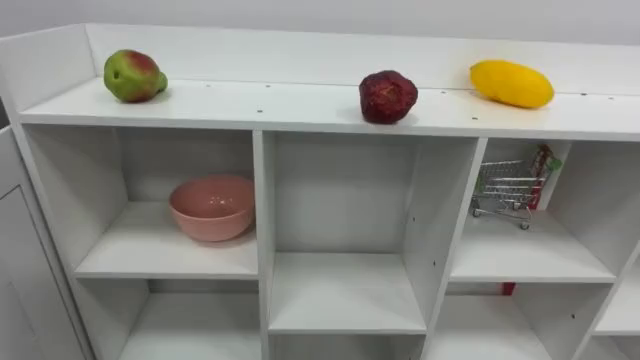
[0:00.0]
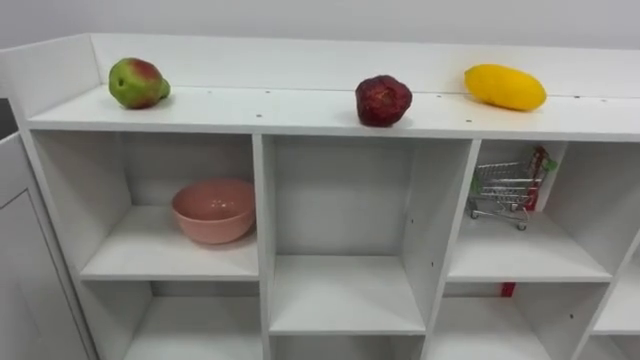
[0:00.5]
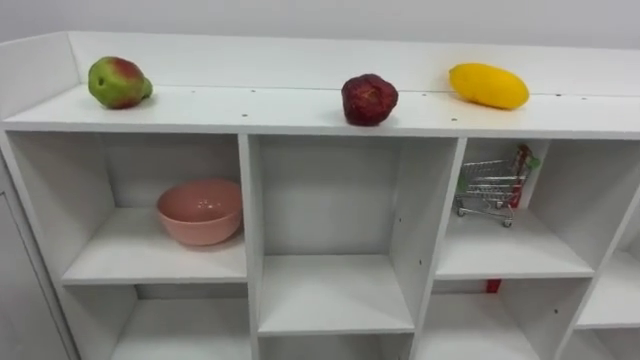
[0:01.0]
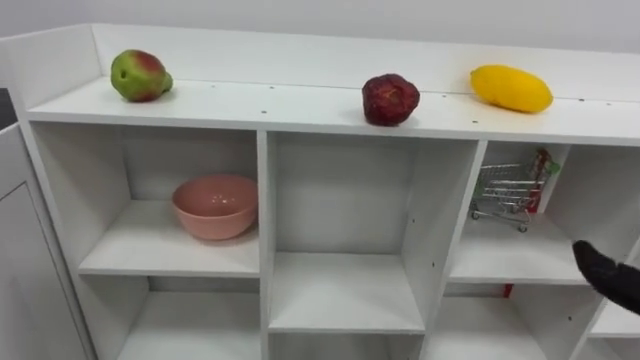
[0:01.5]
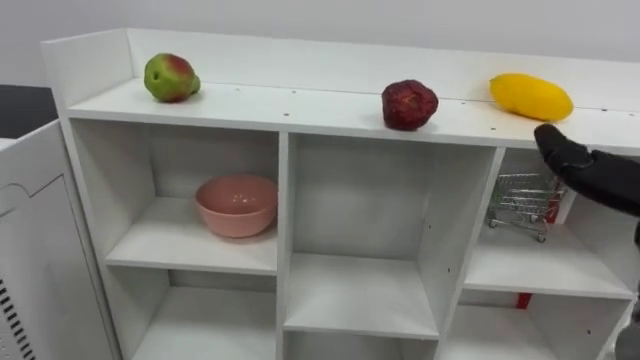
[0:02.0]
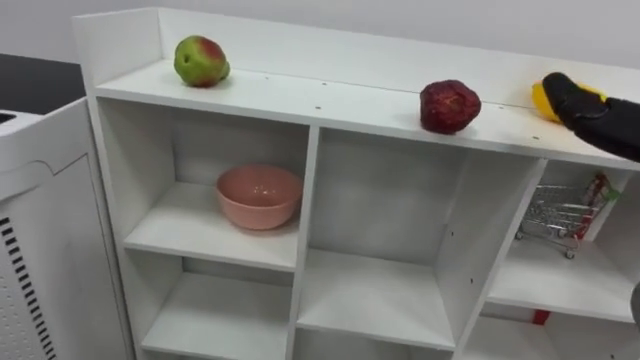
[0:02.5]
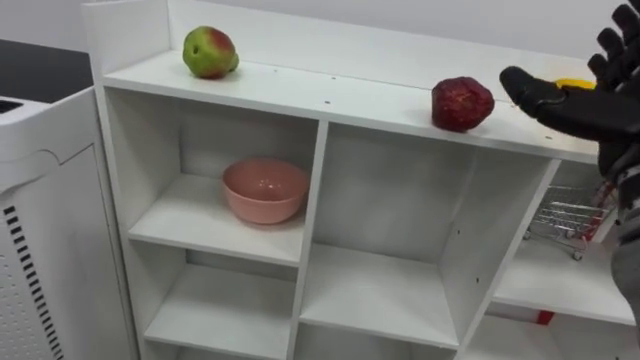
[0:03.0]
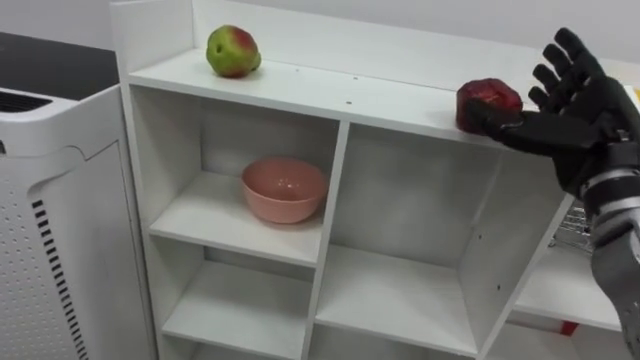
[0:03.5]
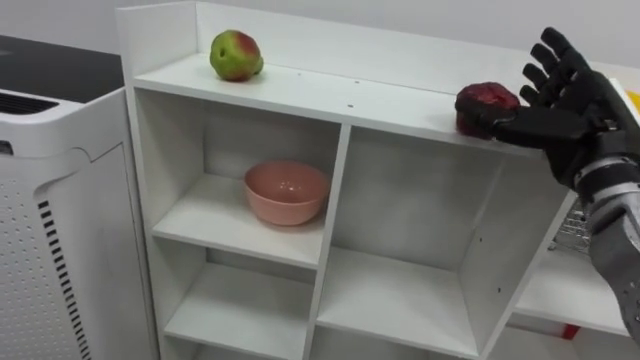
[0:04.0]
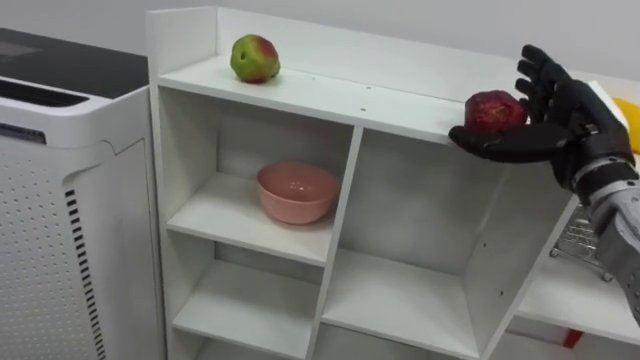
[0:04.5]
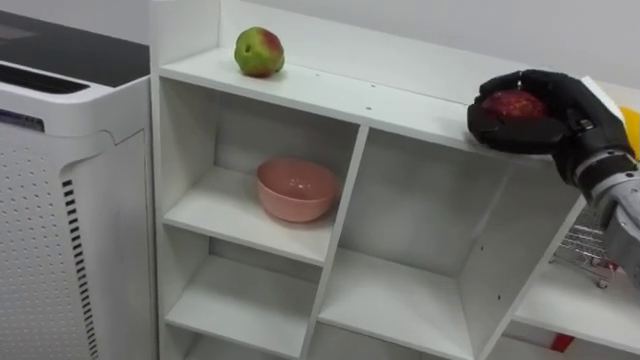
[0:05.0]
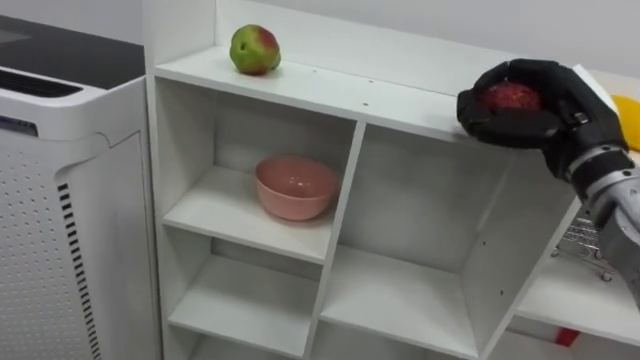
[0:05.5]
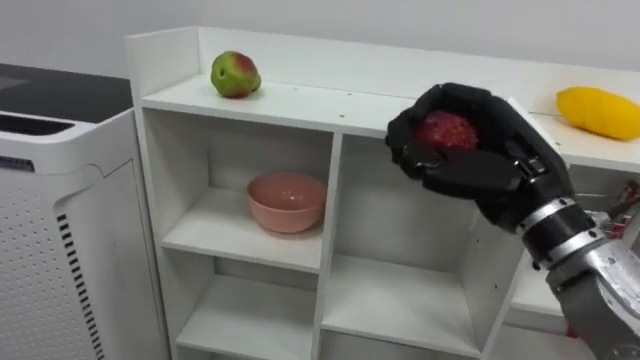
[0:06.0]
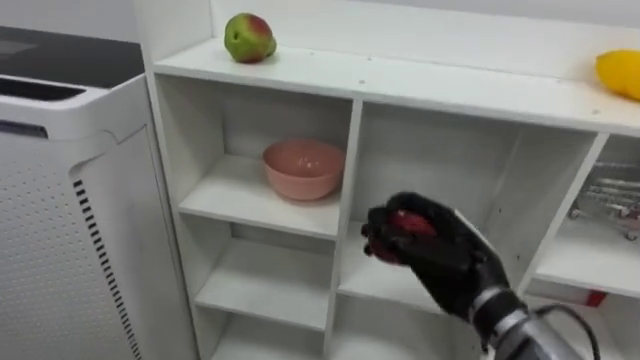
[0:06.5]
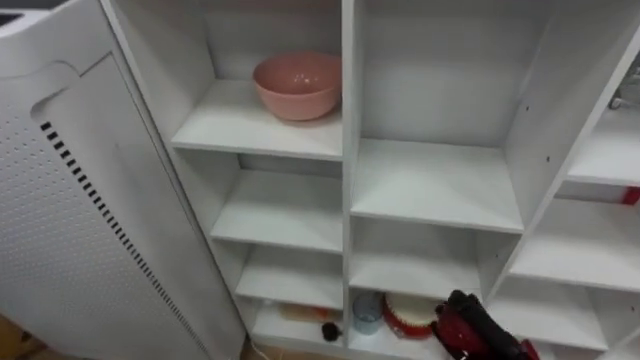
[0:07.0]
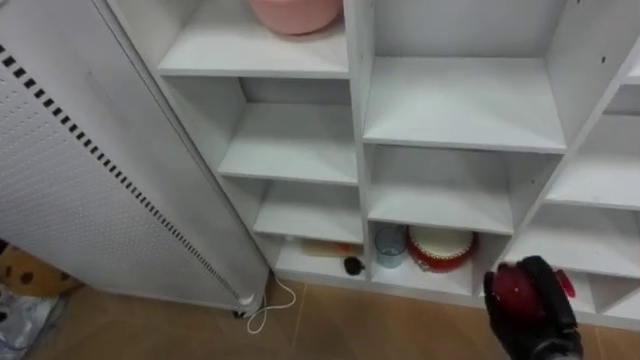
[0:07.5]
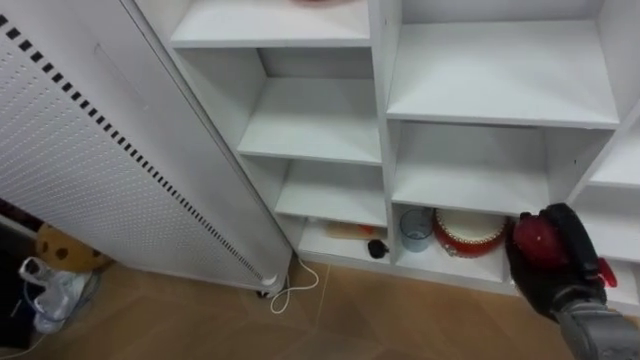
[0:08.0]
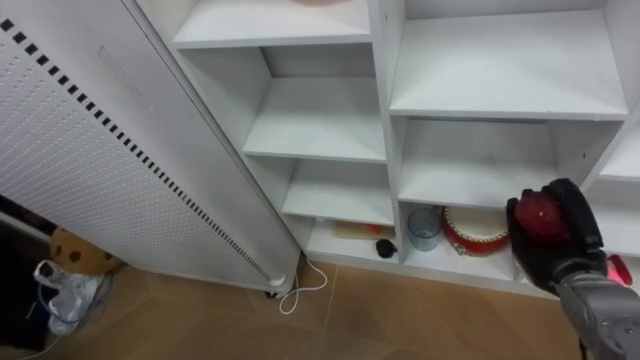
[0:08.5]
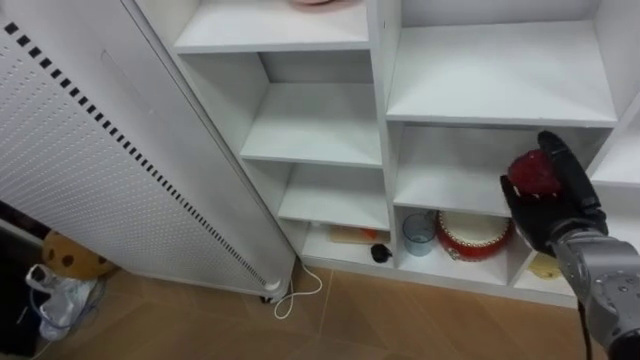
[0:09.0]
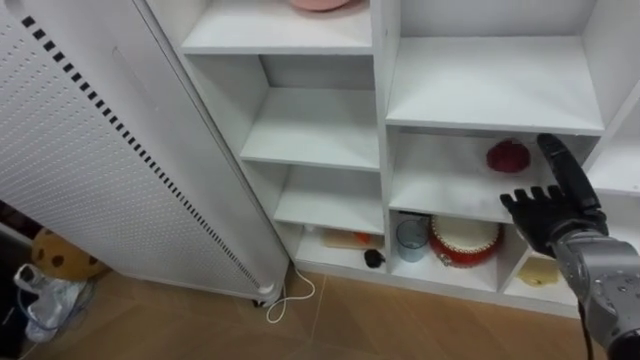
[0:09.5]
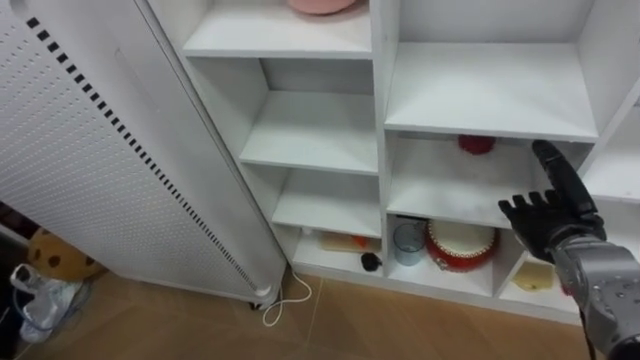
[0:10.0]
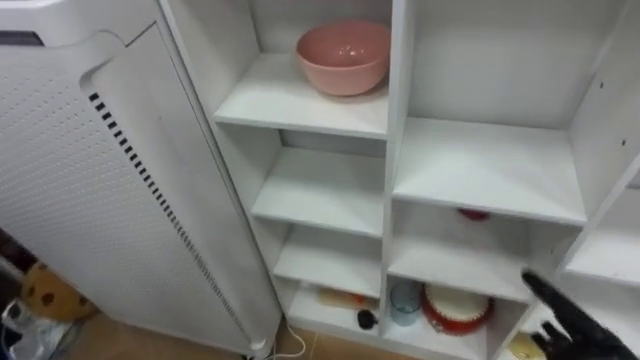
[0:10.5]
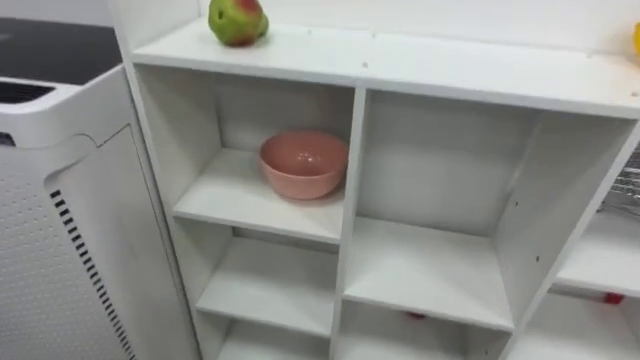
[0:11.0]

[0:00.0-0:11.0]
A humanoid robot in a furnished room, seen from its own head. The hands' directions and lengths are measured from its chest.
Task of the whole recording: Put the apple in the cell in the second column from the left and the second row from the top.
0:03.5 to 0:05.5: The right hand closes.
0:07.5 to 0:09.0: The right hand shifts roughly 15 cm upward and forward, and opens.

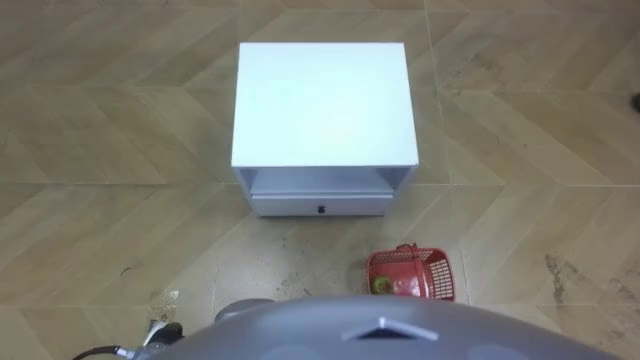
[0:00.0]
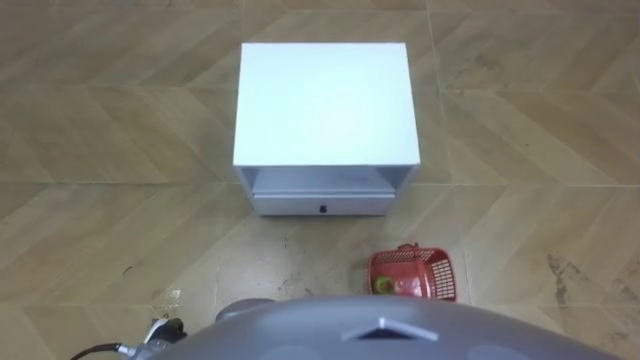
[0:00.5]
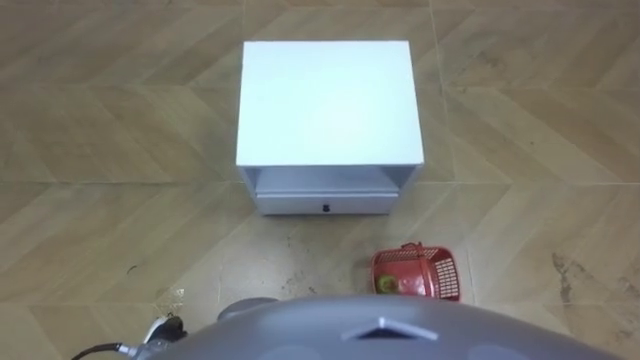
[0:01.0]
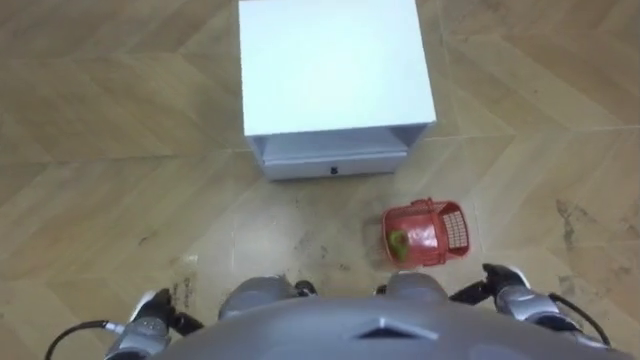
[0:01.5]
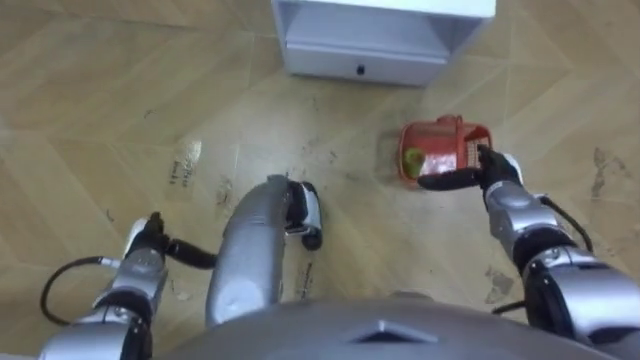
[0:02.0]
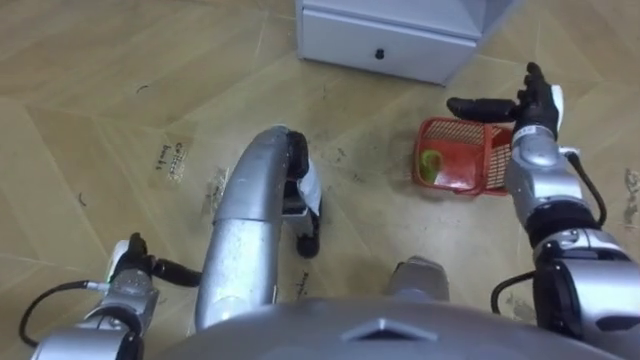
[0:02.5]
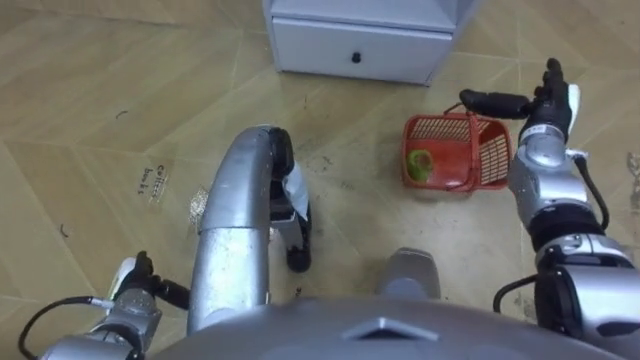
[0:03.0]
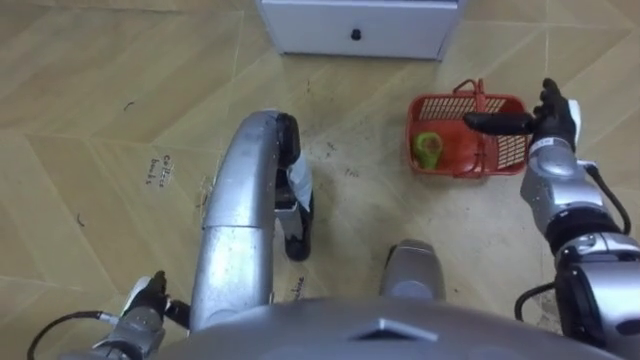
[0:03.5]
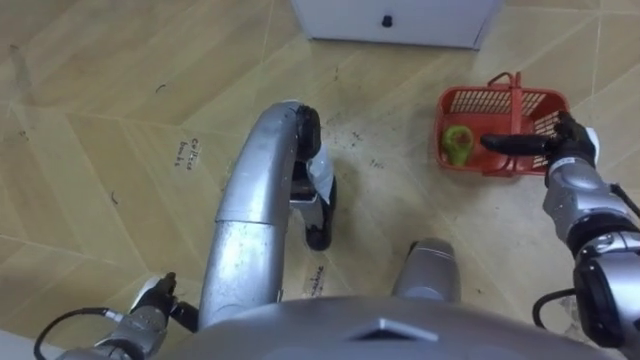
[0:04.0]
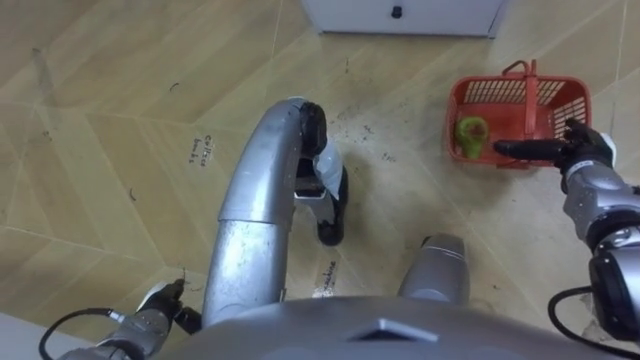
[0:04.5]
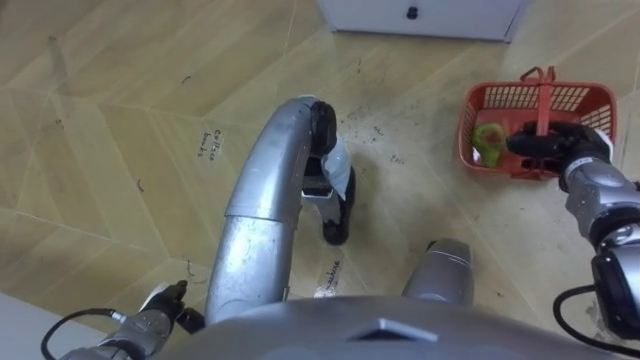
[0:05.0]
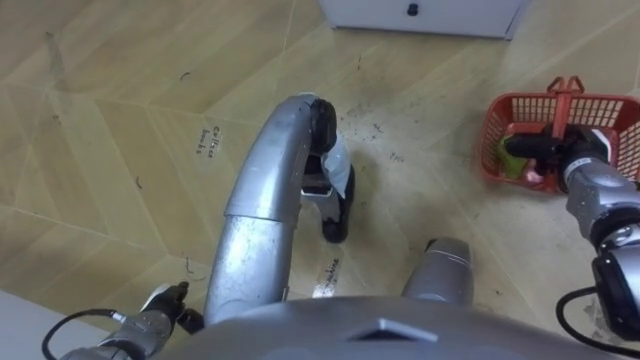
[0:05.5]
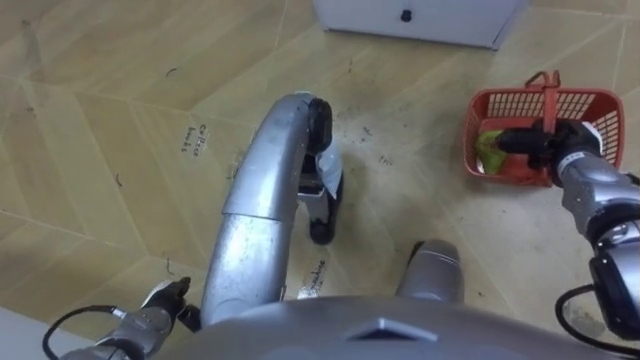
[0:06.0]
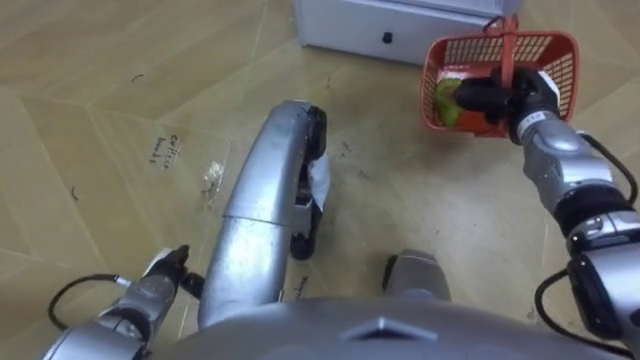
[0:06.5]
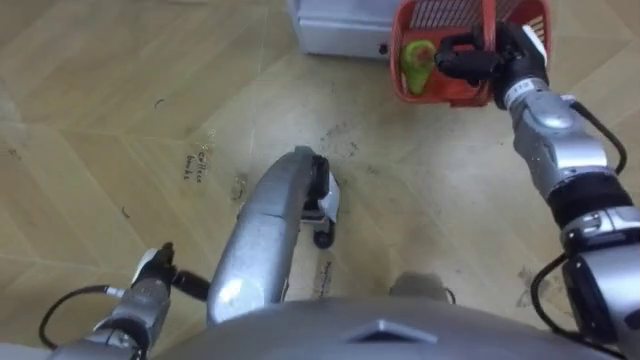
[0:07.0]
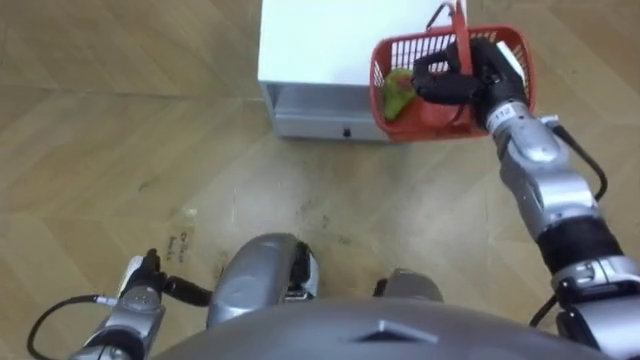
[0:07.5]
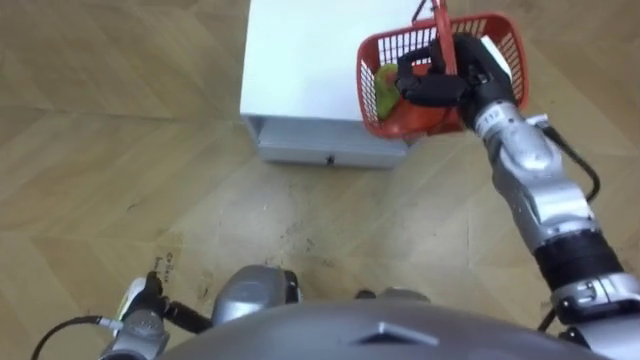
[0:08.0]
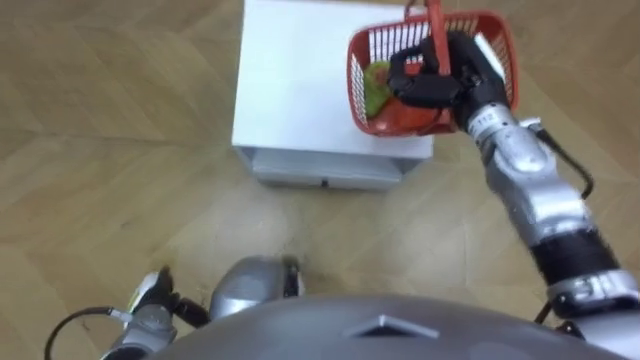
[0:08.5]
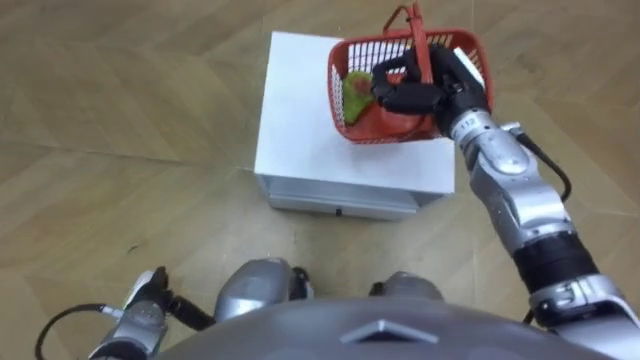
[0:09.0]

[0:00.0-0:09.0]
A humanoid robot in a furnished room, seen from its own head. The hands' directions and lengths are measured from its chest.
Task of the whole recording: Pick up the fruit basket from the floor and place it on the cabinet.
0:02.0 to 0:04.5: The left hand heads backward, covering some 10 cm; the right hand shifts some 10 cm to the right.
0:04.5 to 0:07.0: The right hand moves to the left, forward and upward, about 20 cm, and closes. The left hand shifts some 5 cm forward.
0:07.0 to 0:09.0: The right hand is displaced to the left by approximately 10 cm.
